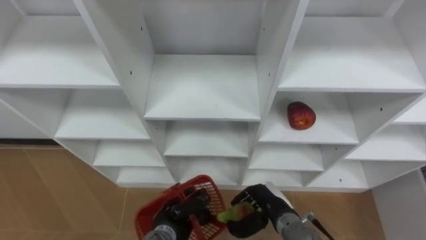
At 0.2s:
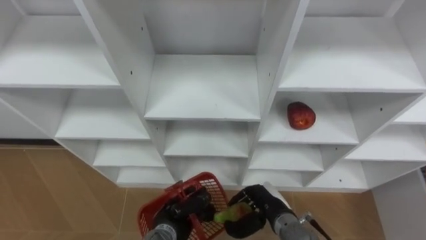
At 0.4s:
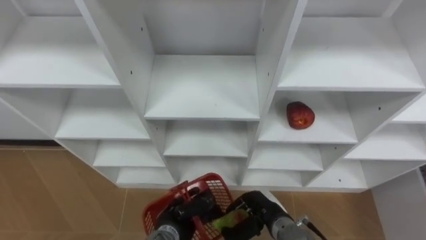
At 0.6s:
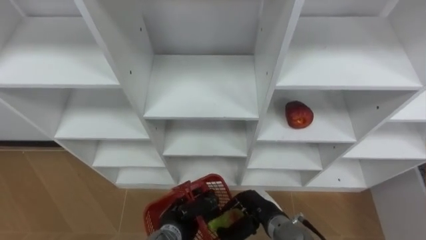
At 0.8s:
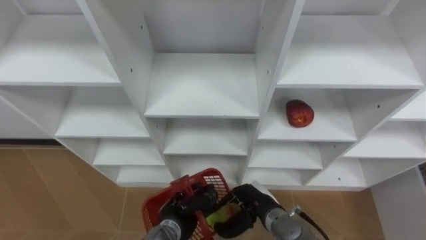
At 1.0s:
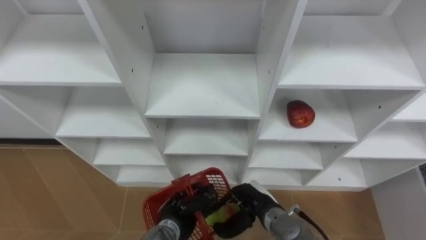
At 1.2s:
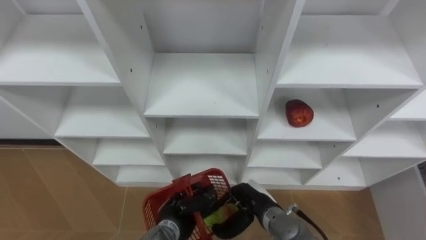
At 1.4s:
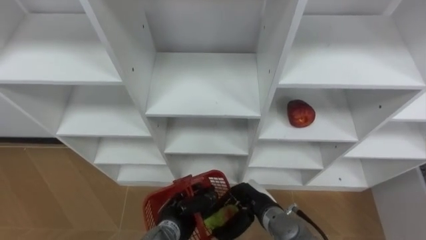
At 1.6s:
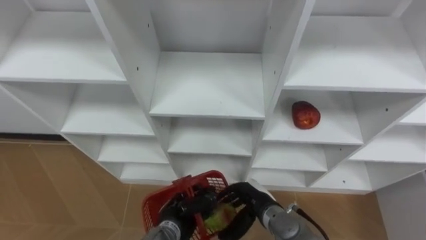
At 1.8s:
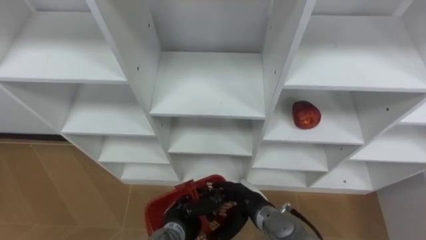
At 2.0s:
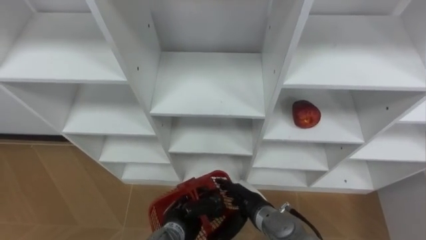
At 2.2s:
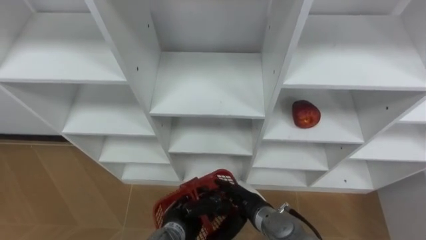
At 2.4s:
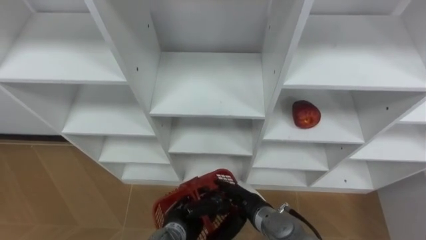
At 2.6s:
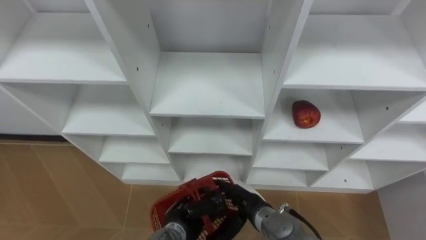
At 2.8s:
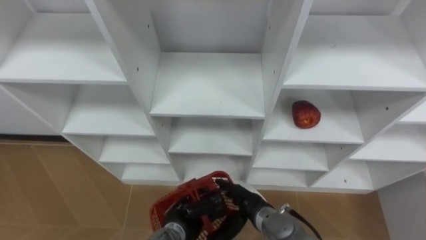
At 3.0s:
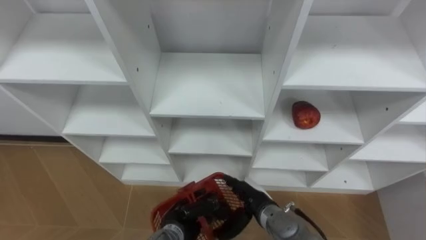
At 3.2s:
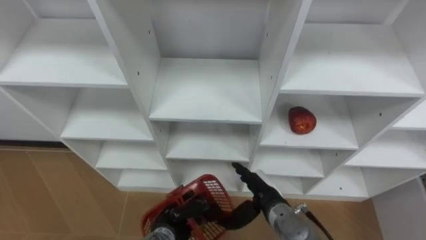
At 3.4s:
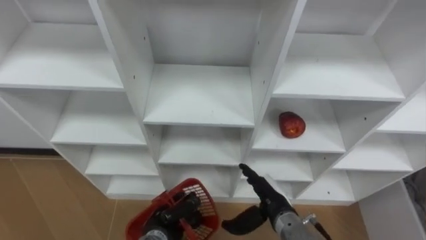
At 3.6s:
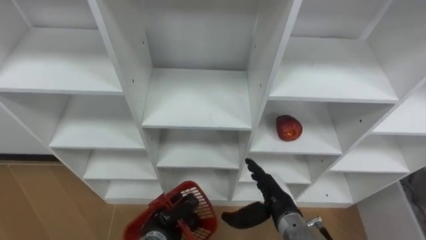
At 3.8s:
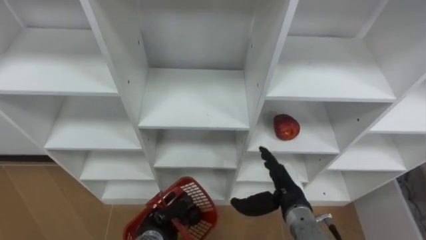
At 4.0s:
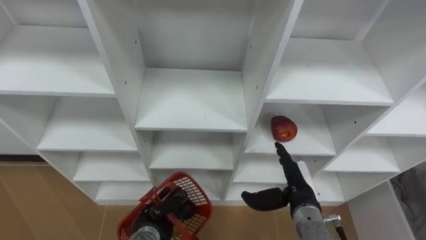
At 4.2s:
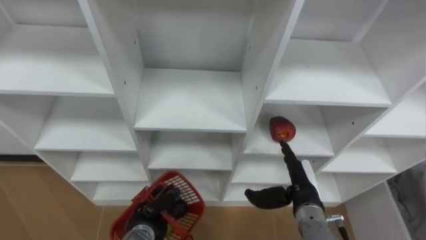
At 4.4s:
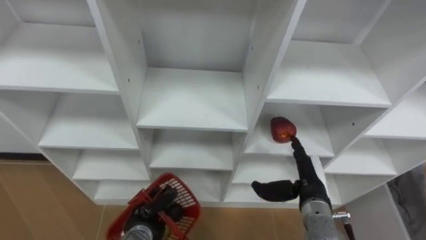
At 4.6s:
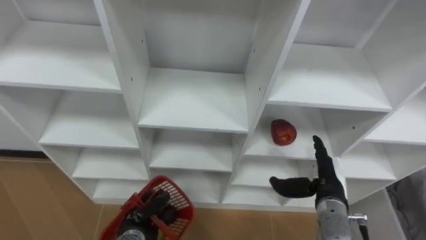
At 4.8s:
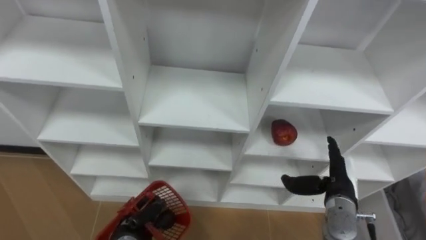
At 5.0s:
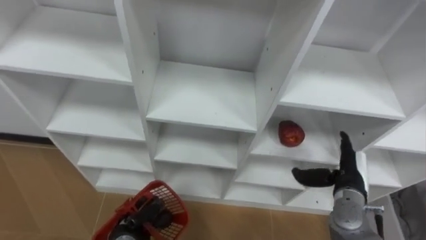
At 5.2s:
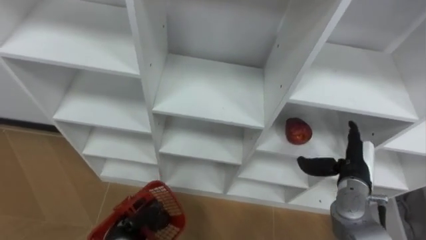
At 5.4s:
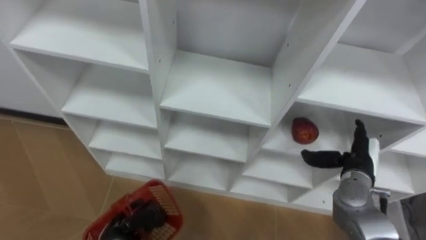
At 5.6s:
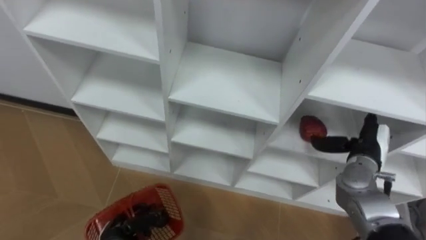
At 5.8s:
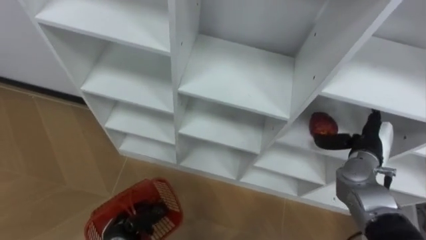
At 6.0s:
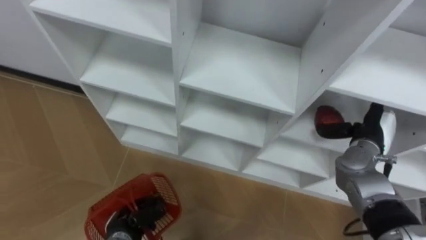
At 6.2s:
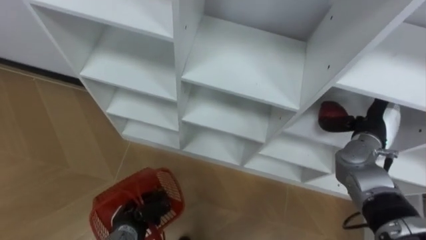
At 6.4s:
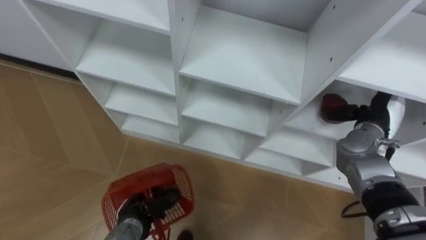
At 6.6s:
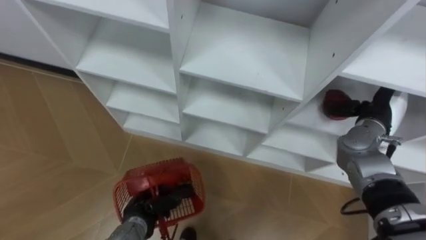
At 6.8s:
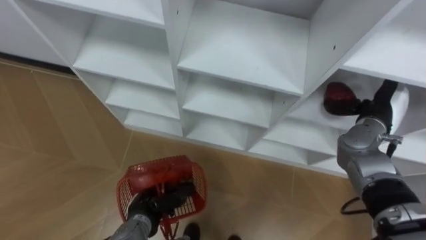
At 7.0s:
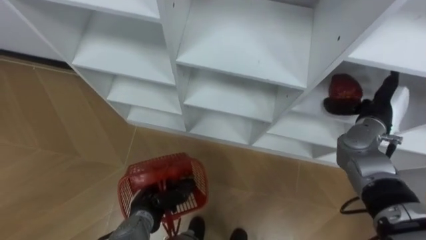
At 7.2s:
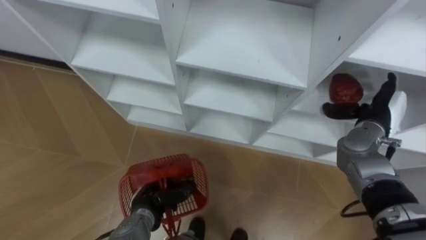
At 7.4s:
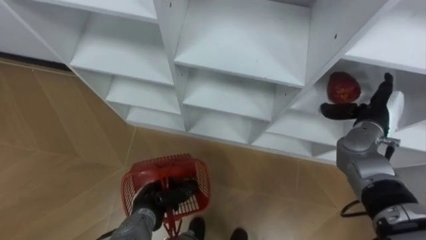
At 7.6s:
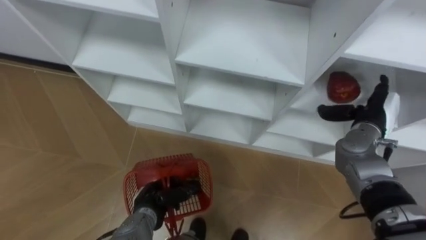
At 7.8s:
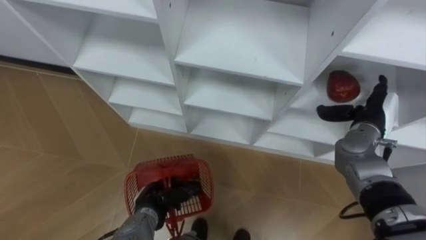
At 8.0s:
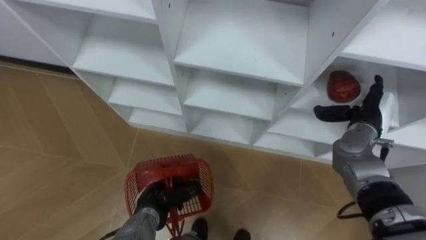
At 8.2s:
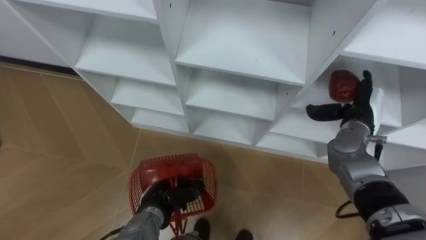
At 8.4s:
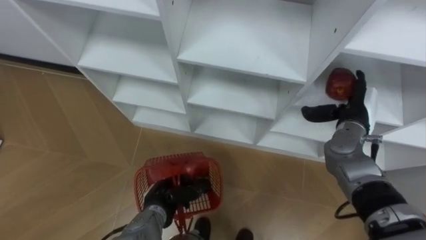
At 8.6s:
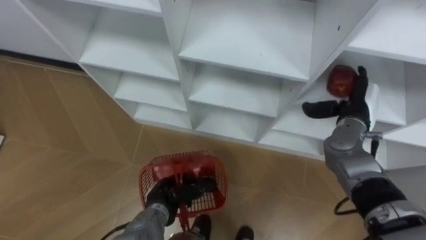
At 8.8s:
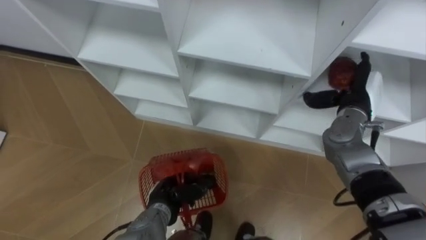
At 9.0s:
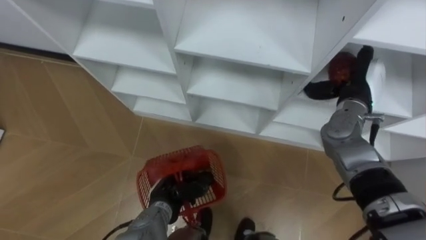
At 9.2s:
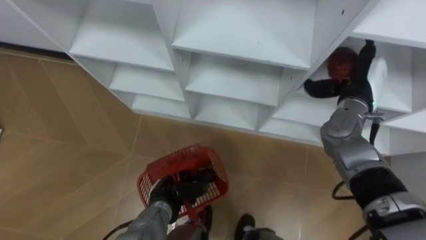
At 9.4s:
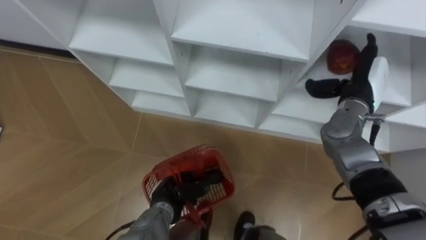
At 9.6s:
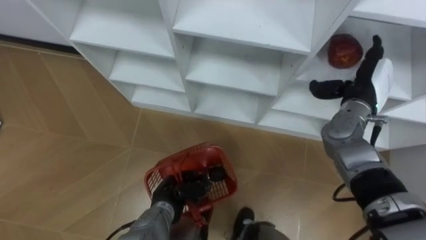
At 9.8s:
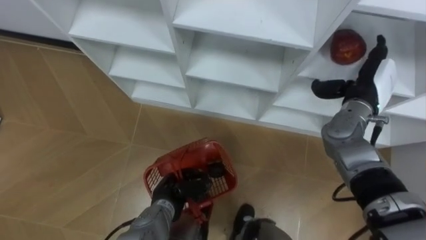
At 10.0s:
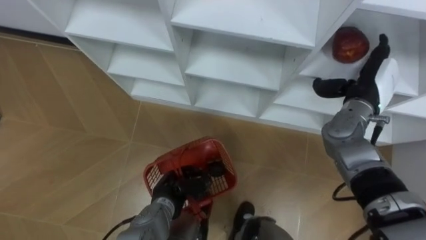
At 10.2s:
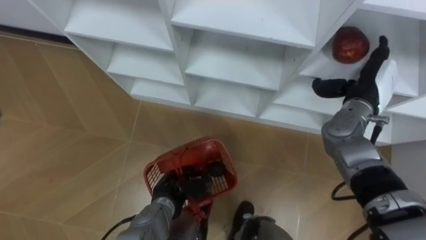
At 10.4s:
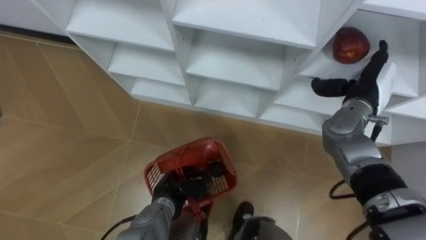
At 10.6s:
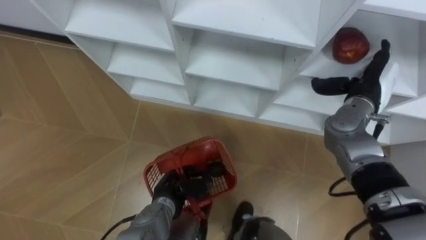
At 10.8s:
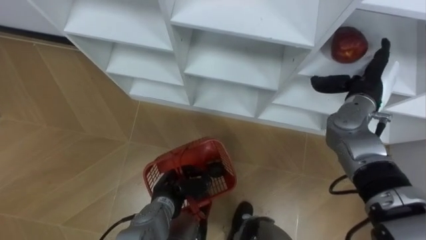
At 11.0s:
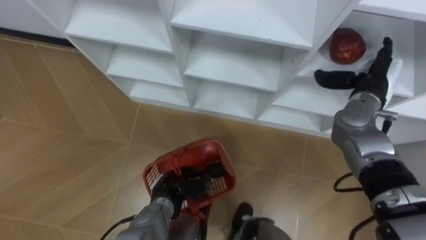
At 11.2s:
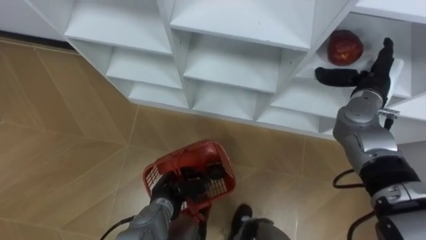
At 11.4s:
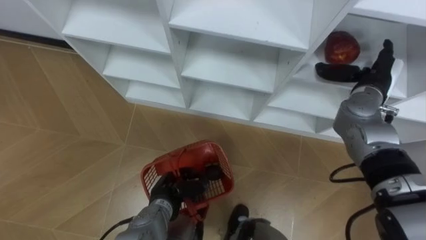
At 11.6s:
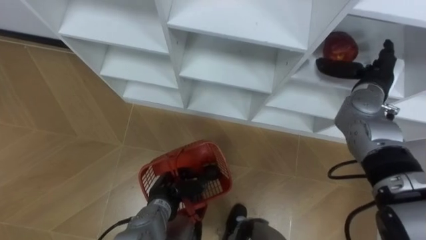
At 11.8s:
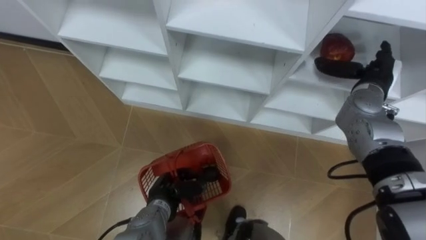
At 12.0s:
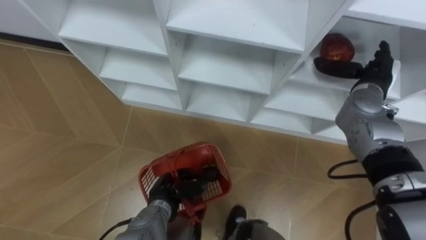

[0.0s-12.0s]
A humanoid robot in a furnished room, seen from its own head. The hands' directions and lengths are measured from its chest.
Task of the whole recording: Hold the basket and collect the fruits from 3 different cells of the closet into it.
0.0s to 1.6s: The right hand opens up.
3.0s to 4.4s: The right hand travels to the right and upward by approximately 15 cm. The left hand goes about 10 cm to the left.
4.4s to 6.0s: The right hand travels to the right and forward by roughly 15 cm.
6.0s to 7.6s: The left hand moves to the right, some 5 cm.
7.6s to 9.0s: The right hand travels upward by some 5 cm.

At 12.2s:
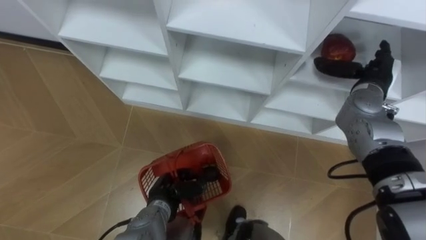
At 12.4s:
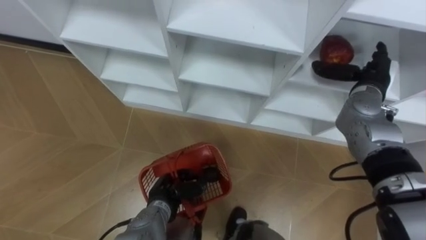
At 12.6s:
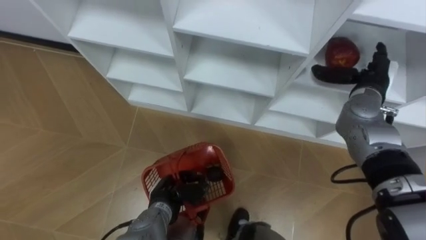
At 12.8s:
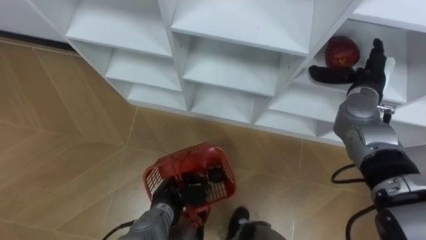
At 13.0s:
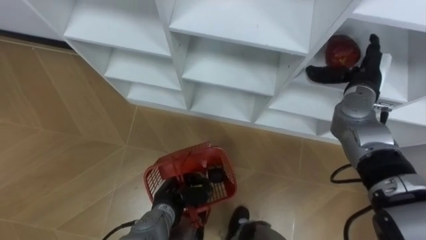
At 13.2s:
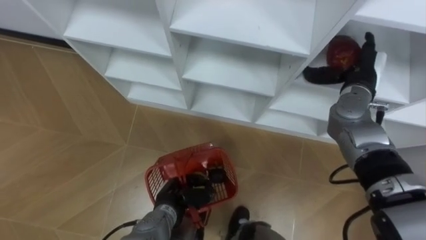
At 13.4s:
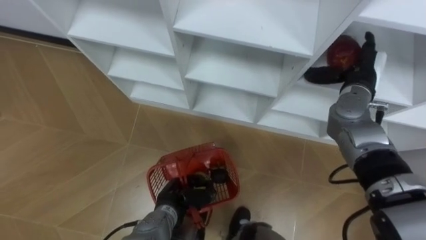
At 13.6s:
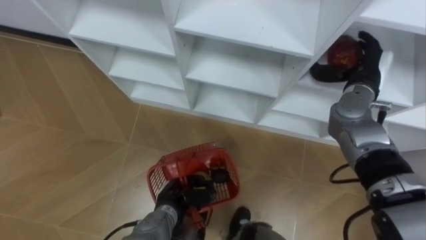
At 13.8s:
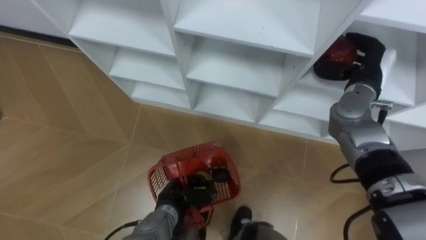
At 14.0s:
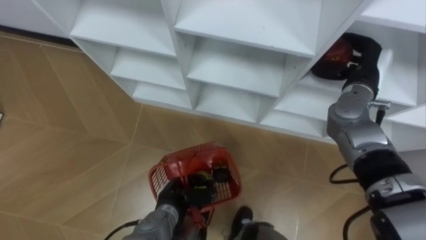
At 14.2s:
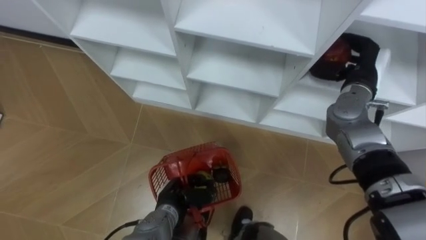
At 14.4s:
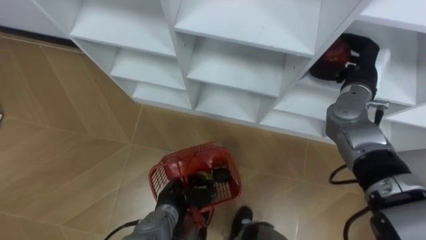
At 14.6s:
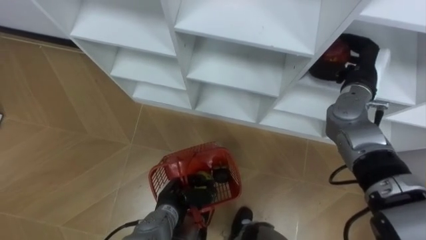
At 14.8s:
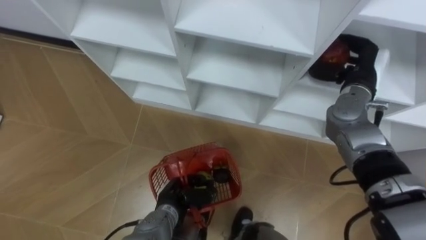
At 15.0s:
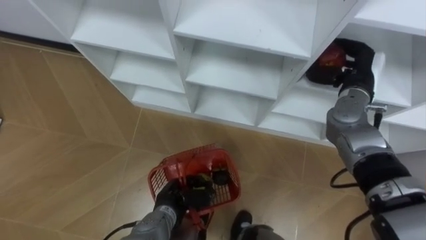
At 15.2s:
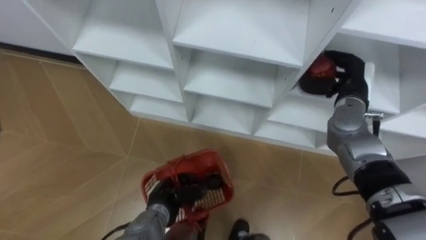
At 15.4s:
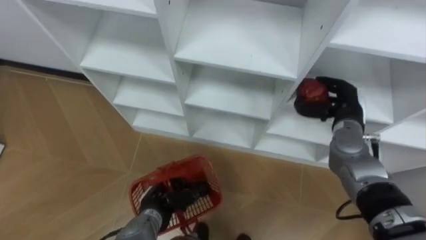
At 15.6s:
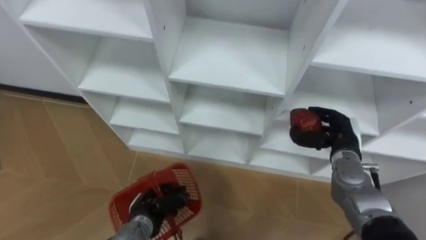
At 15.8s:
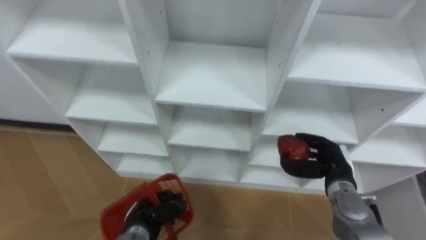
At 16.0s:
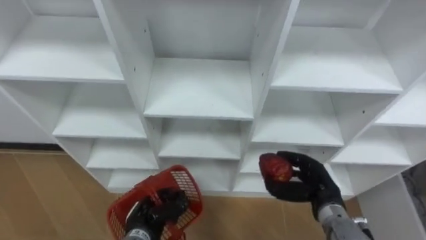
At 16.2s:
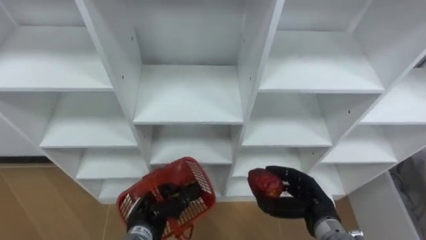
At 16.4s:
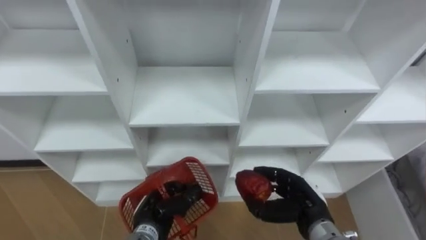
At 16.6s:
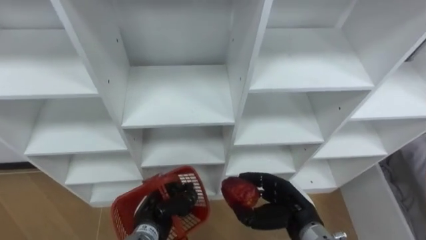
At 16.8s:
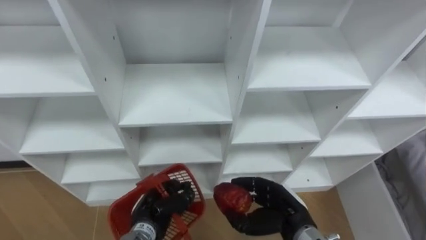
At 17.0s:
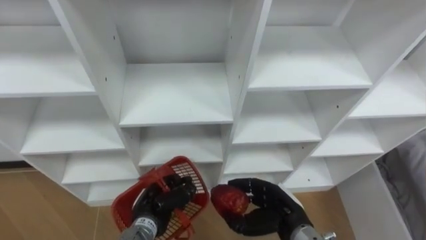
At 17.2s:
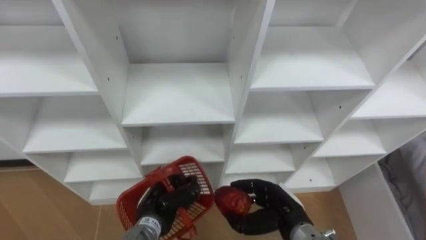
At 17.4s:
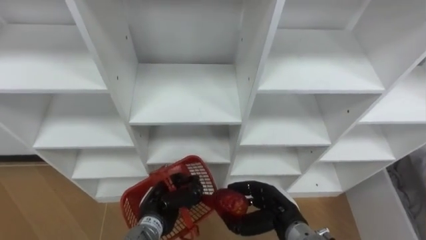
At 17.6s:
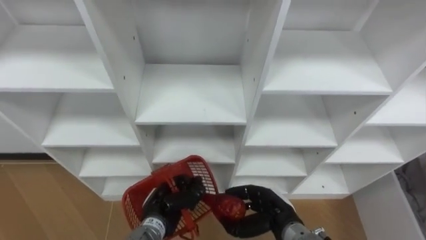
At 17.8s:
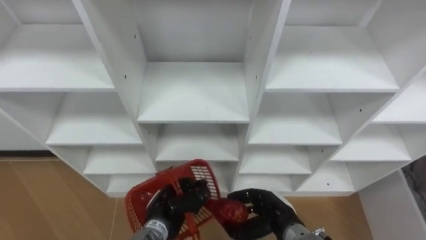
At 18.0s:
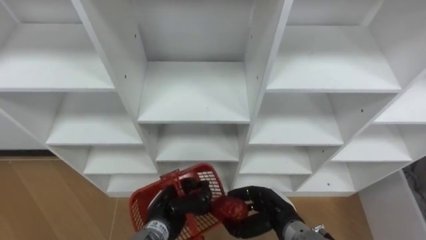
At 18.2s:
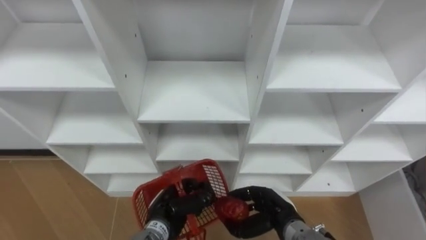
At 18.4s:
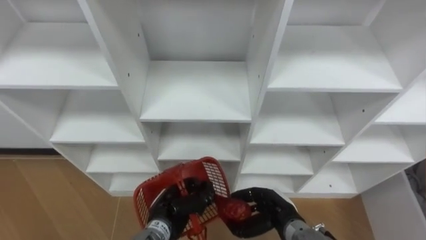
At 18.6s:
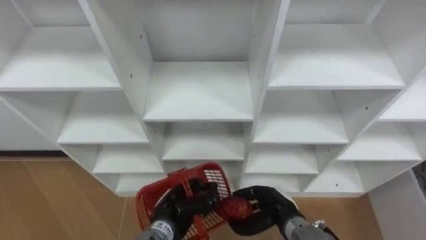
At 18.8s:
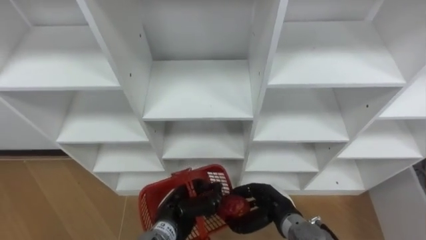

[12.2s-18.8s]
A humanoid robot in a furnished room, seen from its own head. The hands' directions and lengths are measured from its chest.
Task of the whole recording: Hold the basket and collect the fruits from 3 different cells of the closet into it.
12.2s to 13.8s: The right hand closes up.
13.8s to 15.4s: The right hand travels downward by roughly 5 cm.
15.4s to 17.2s: The right hand shifts some 25 cm backward, to the left and downward.
